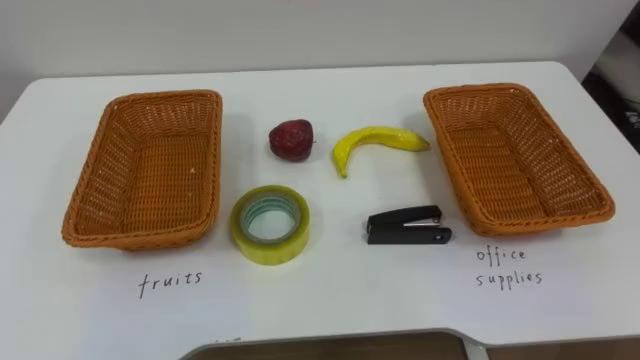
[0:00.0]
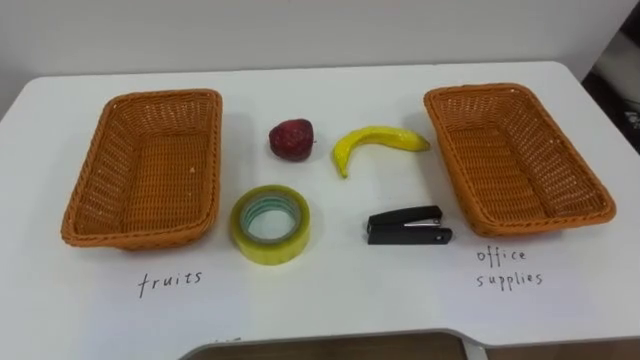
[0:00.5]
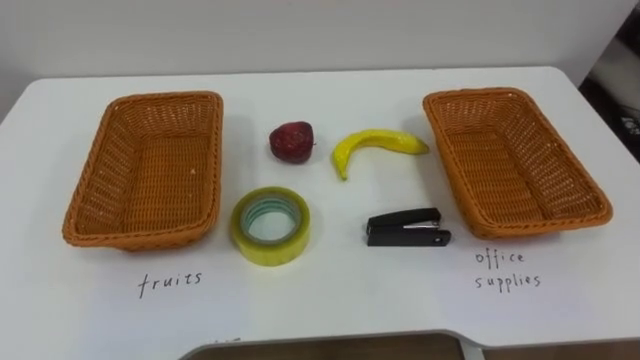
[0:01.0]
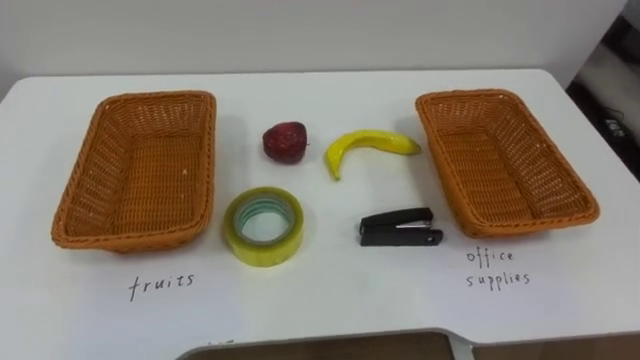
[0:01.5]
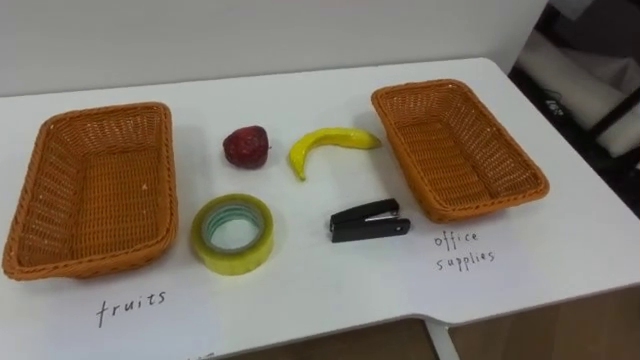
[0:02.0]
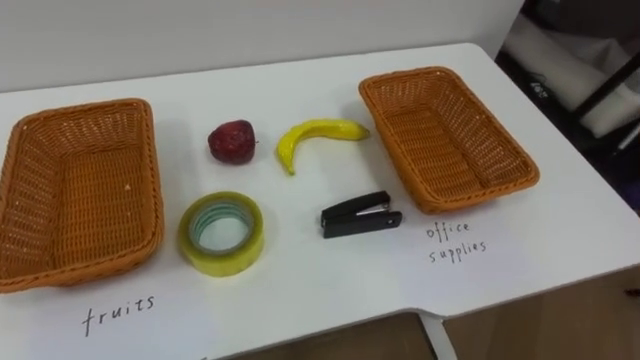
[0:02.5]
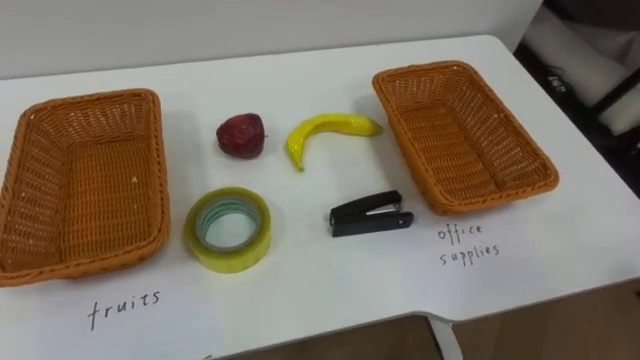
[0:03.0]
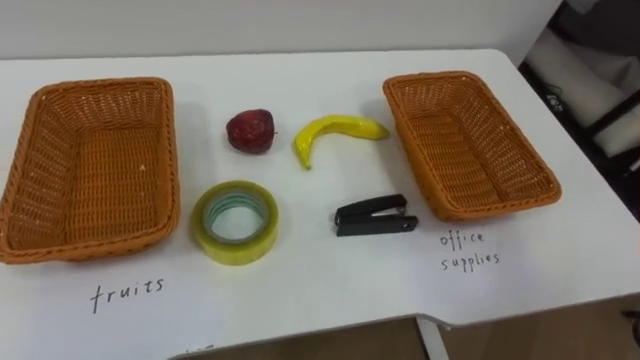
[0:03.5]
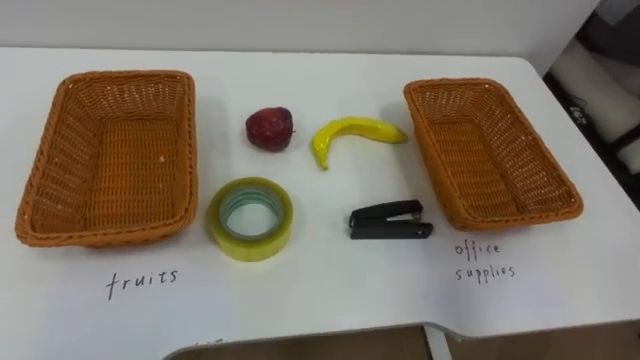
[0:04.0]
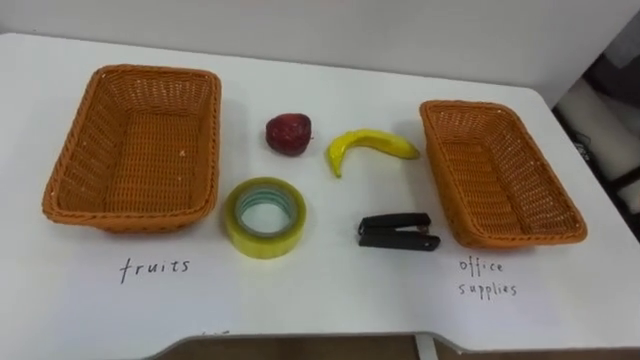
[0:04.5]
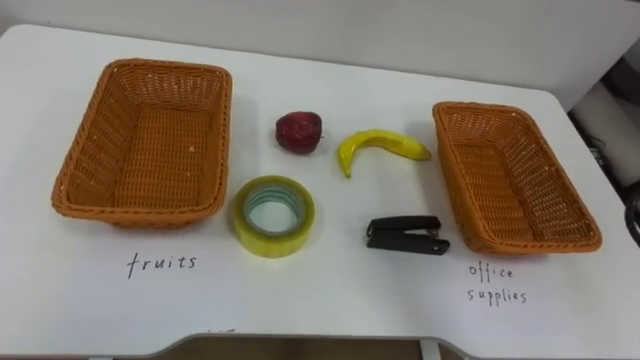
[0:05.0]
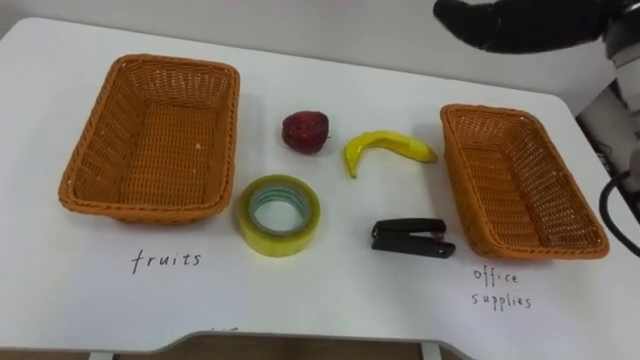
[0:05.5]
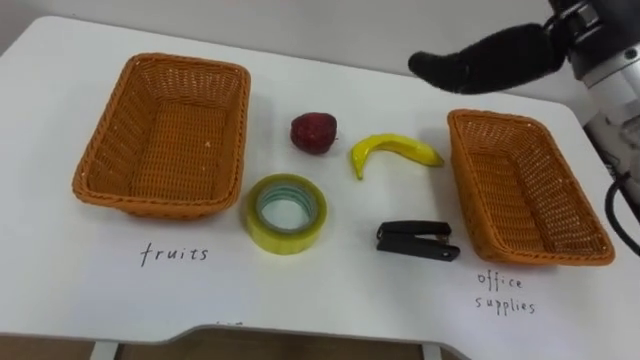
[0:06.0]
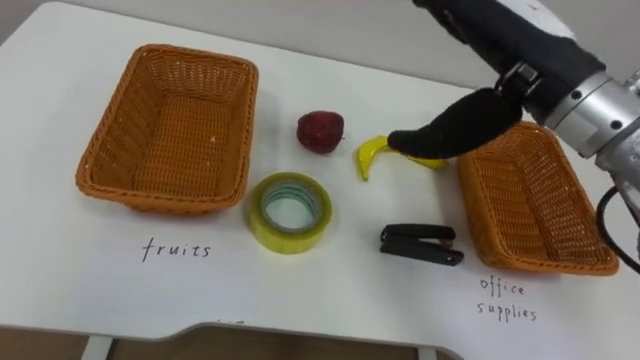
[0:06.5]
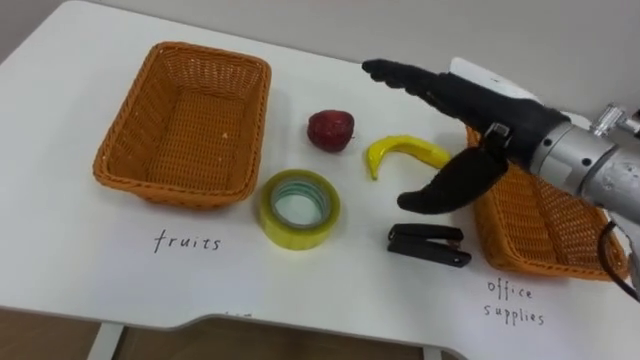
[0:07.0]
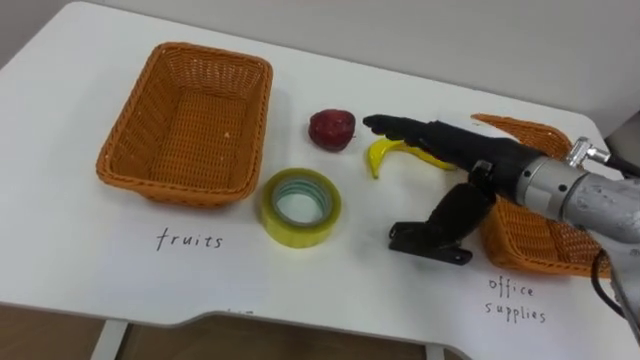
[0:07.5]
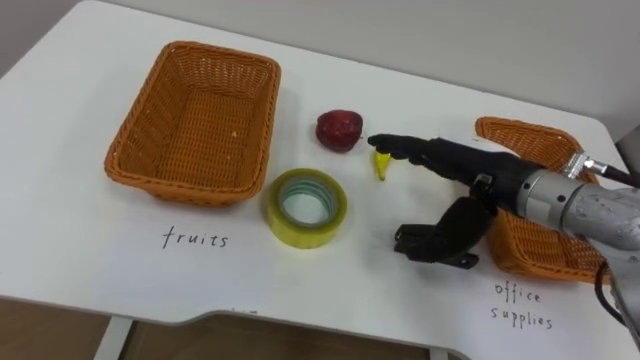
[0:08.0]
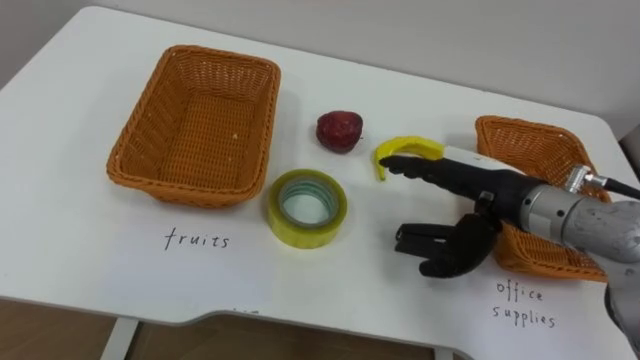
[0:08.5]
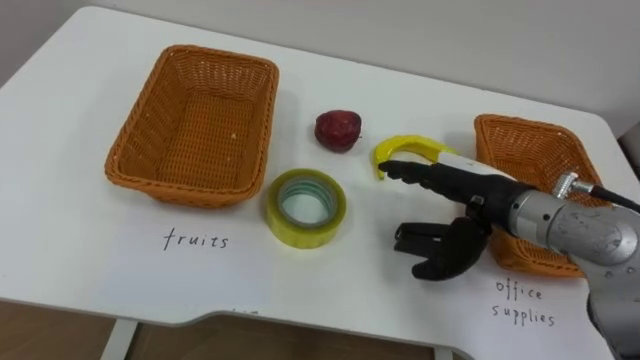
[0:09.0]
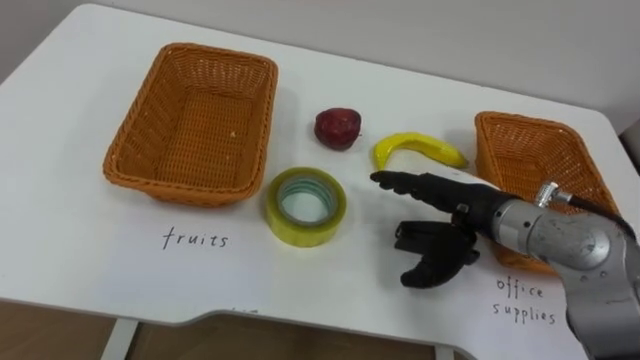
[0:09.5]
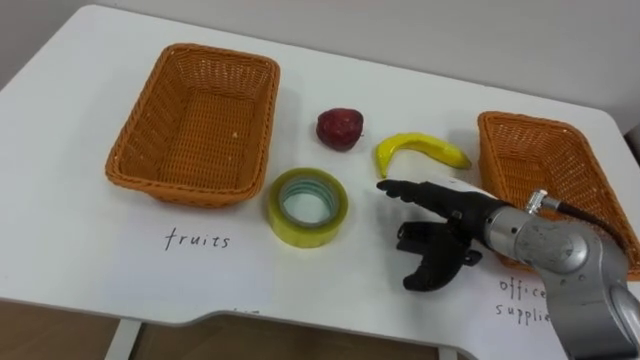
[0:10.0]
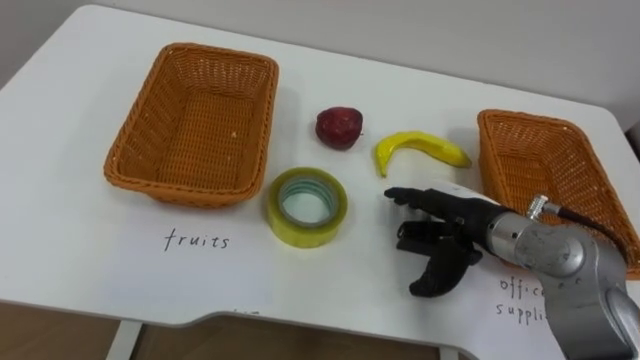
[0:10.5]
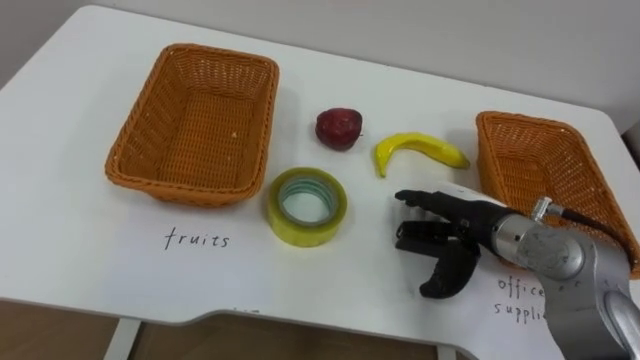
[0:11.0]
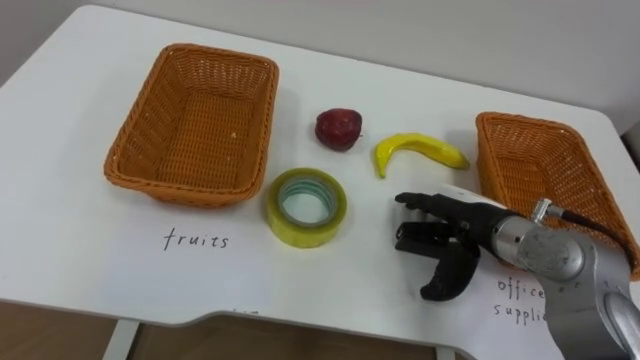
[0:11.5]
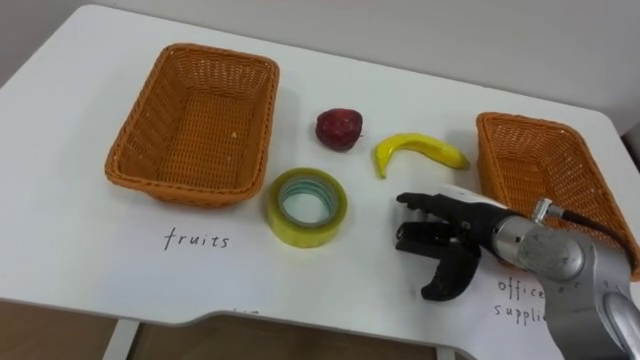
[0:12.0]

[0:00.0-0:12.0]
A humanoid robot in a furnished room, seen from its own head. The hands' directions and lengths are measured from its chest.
Task of the whole recording: Separate the items on the table and place them into the two baskets.
0:06.0 to 0:08.0: The right hand shifts approximately 20 cm downward.
0:08.0 to 0:10.0: The right hand goes some 5 cm downward.

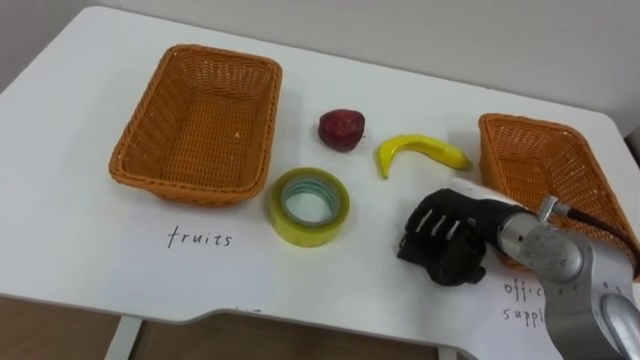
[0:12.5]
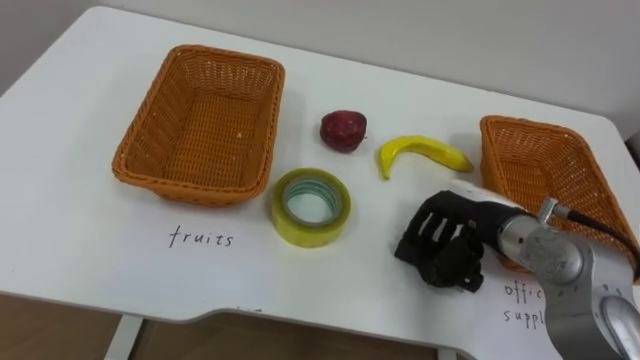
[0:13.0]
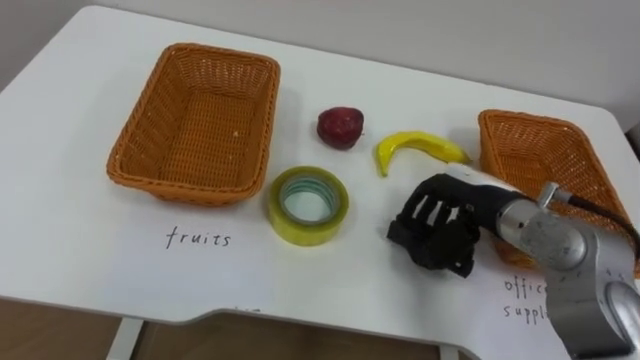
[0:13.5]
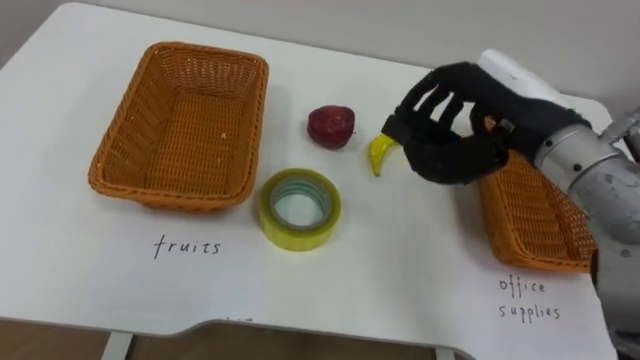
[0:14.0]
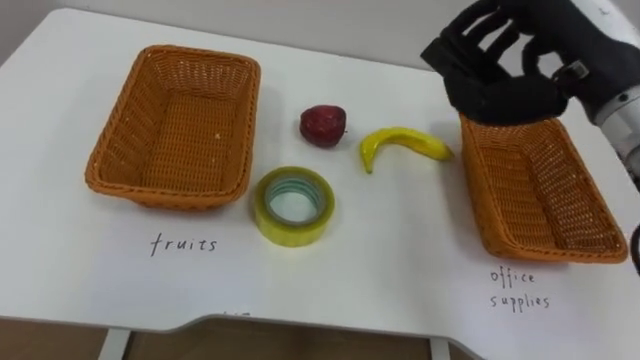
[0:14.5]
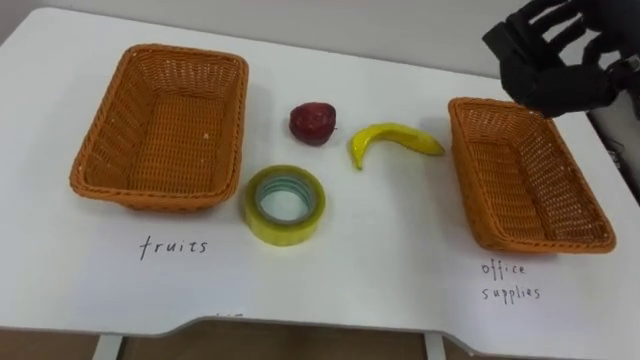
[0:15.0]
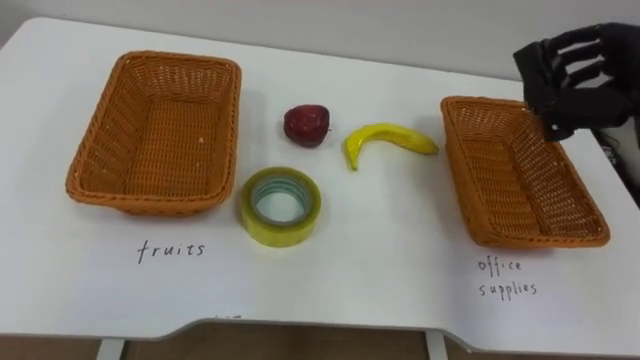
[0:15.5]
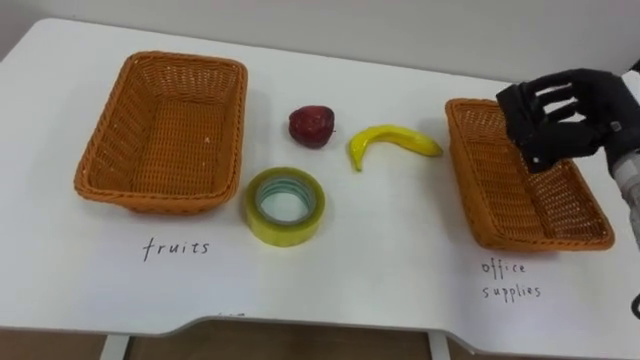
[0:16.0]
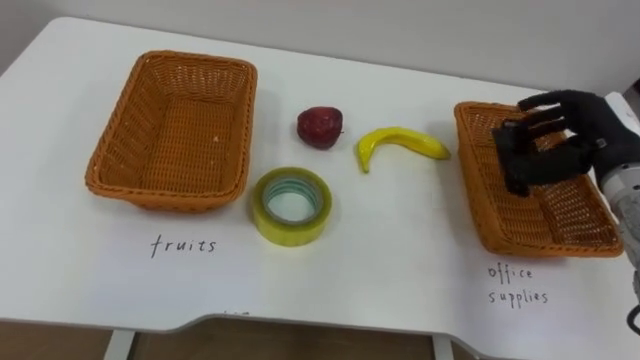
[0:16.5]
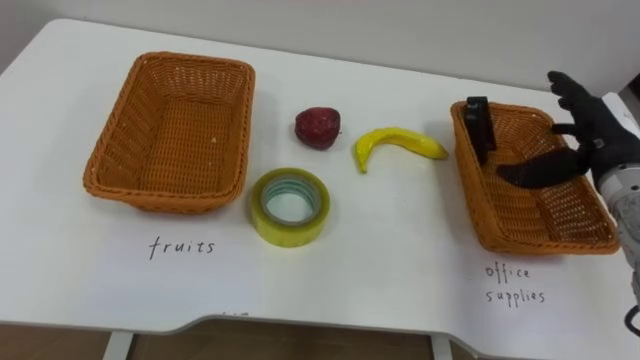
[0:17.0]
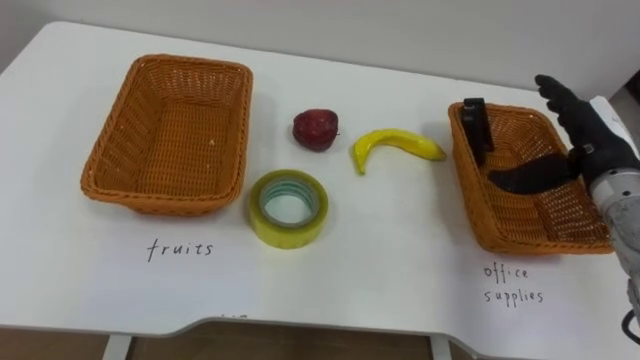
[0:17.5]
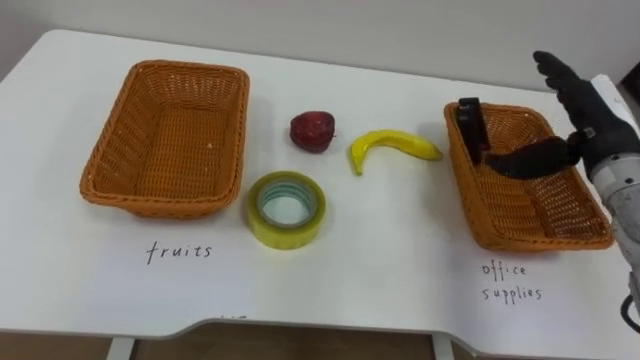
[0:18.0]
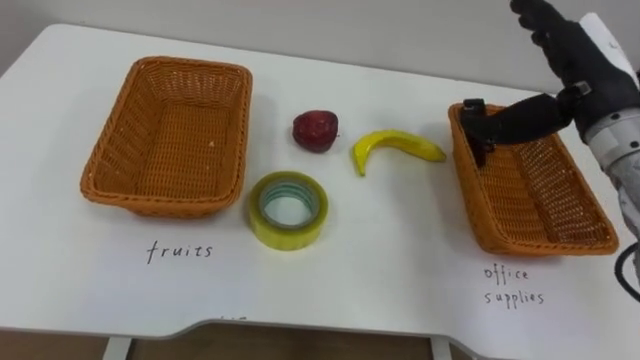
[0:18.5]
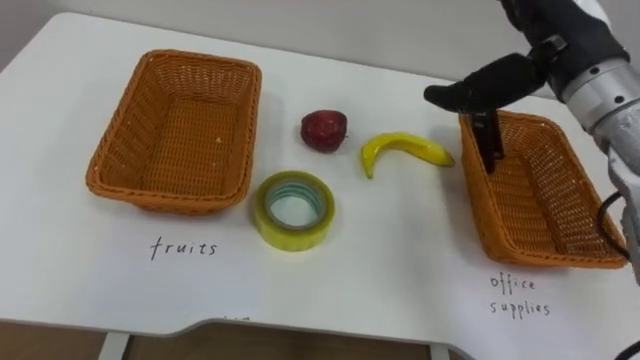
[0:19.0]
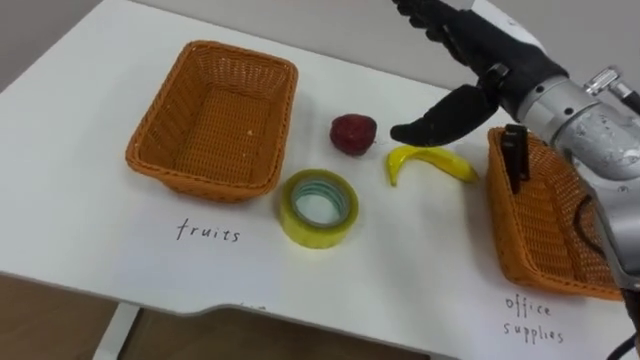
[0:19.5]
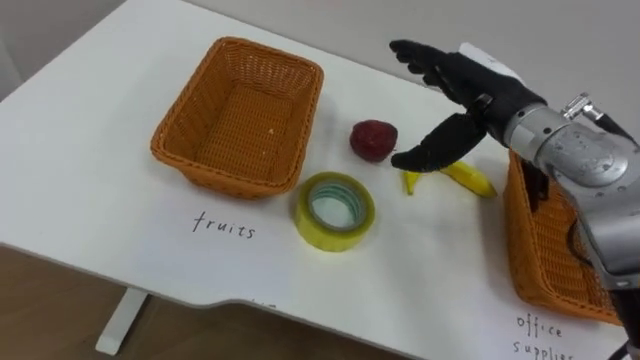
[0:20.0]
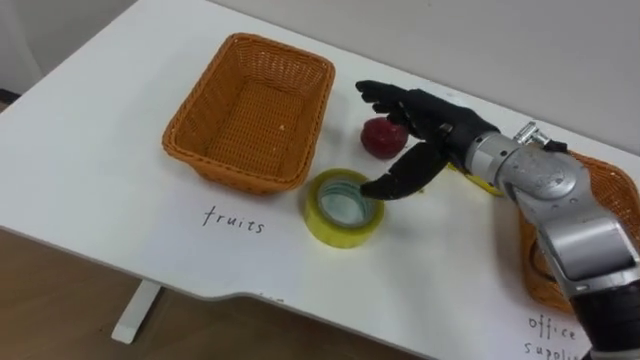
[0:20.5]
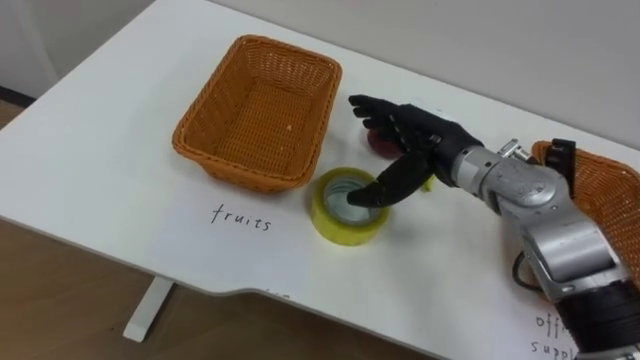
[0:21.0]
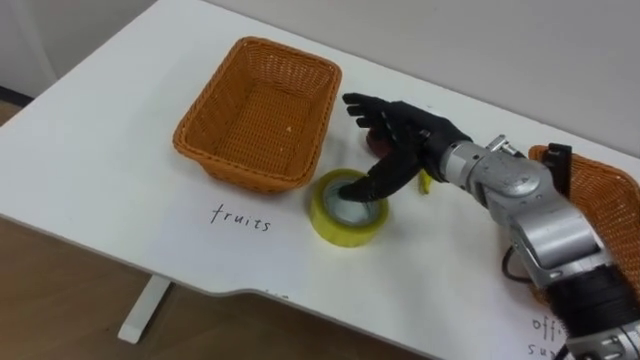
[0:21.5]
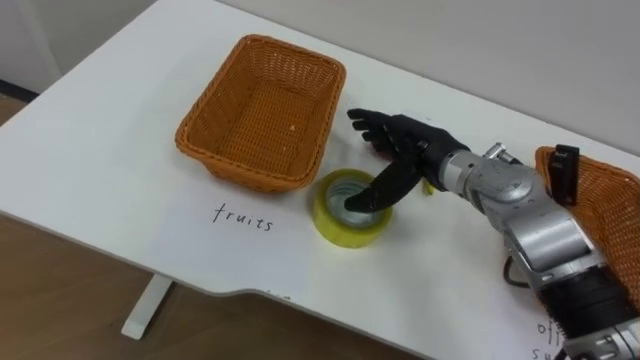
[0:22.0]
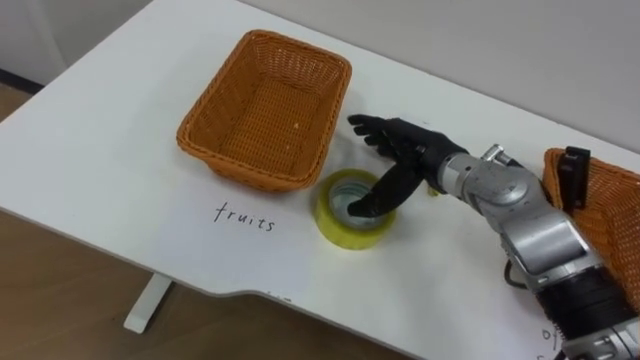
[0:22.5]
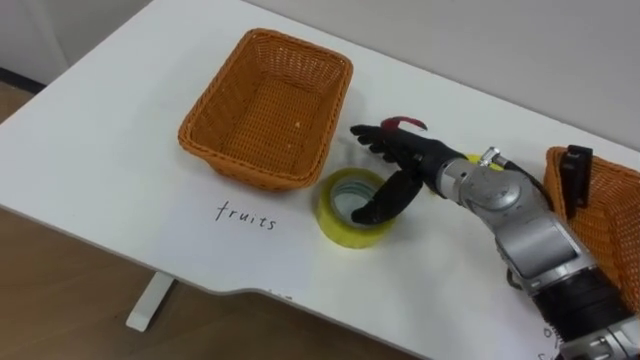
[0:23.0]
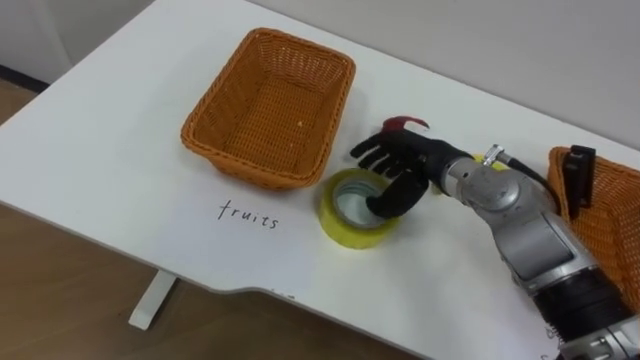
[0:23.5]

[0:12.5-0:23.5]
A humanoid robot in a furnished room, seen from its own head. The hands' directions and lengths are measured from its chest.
Task of the whole recording: Separate the items on the table and place them into the two baskets.
0:12.5 to 0:14.5: The right hand moves upward, approximately 20 cm.
0:16.0 to 0:18.0: The right hand opens up.
0:18.0 to 0:20.0: The right hand heads to the left, covering about 15 cm.
0:20.0 to 0:21.5: The right hand shifts about 10 cm downward and to the left.
